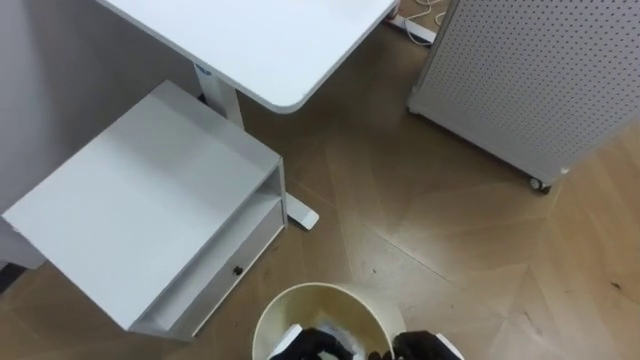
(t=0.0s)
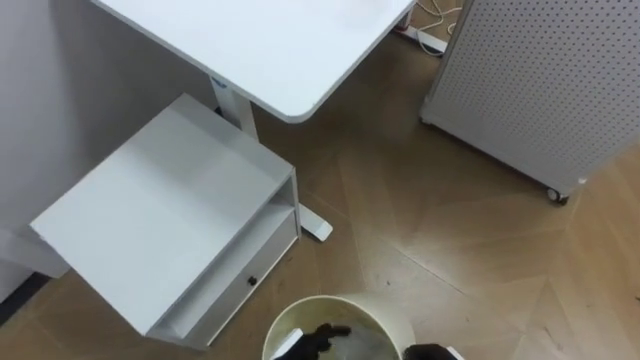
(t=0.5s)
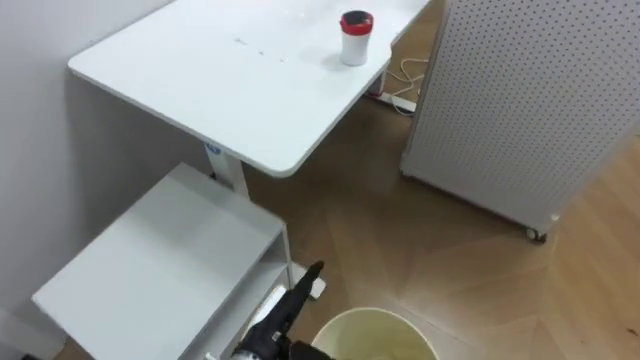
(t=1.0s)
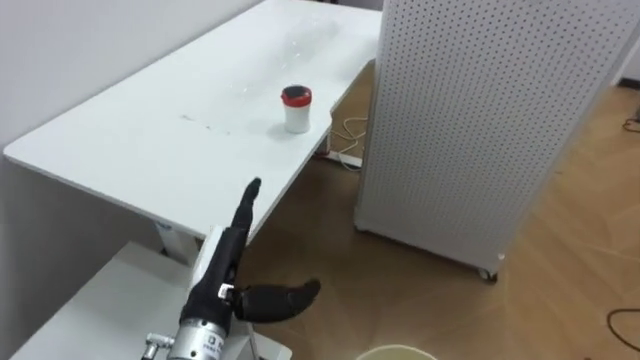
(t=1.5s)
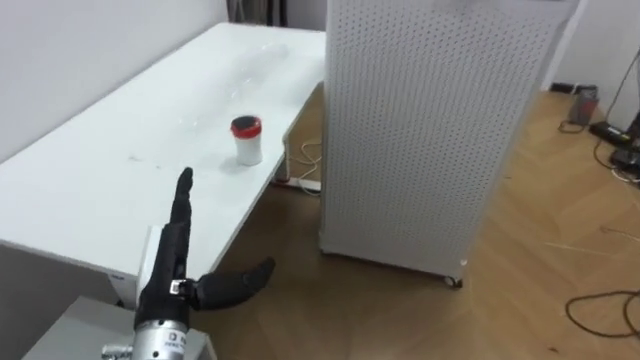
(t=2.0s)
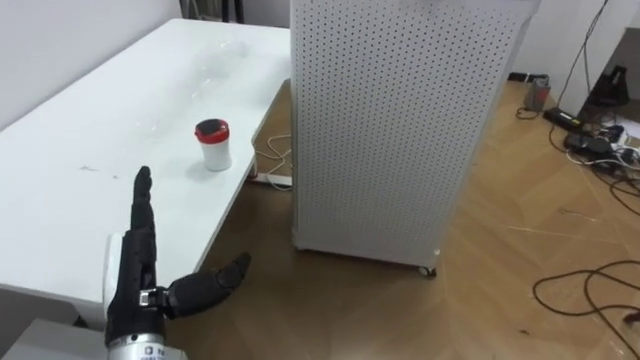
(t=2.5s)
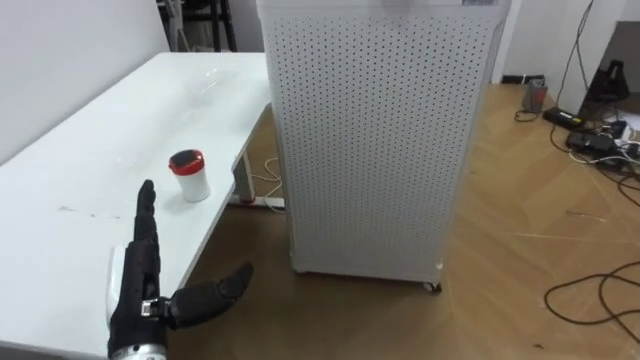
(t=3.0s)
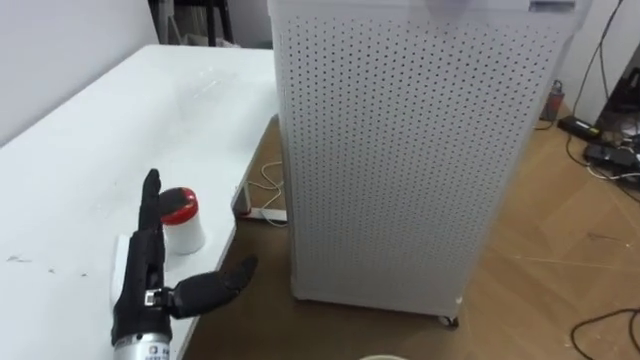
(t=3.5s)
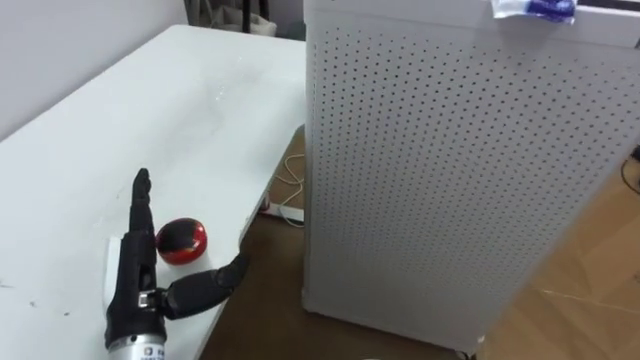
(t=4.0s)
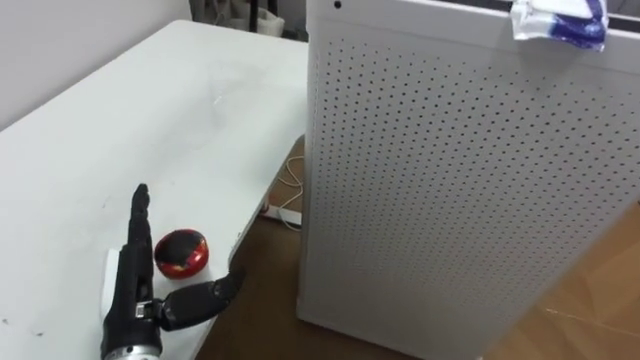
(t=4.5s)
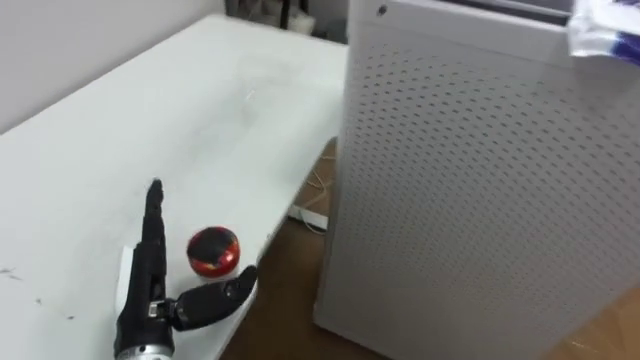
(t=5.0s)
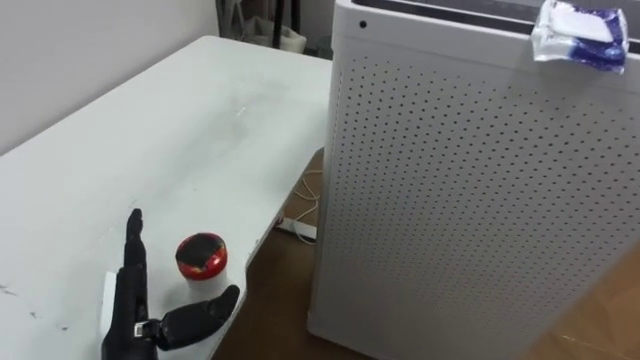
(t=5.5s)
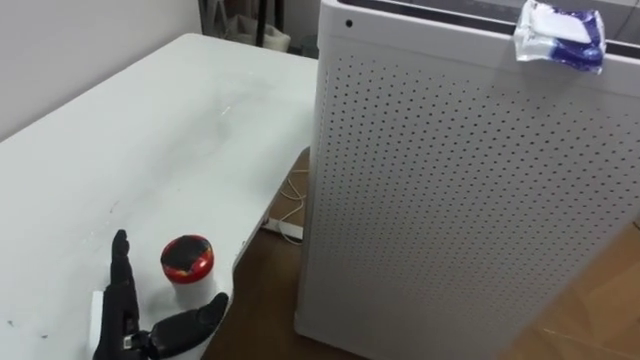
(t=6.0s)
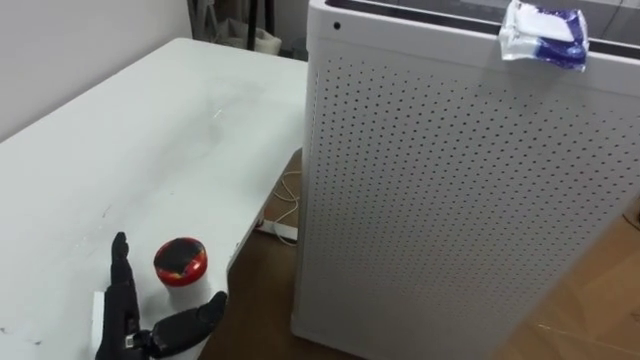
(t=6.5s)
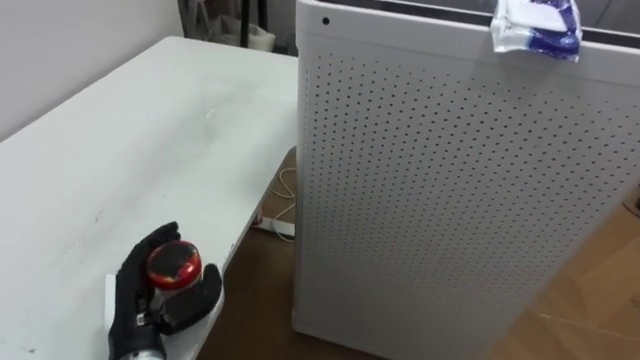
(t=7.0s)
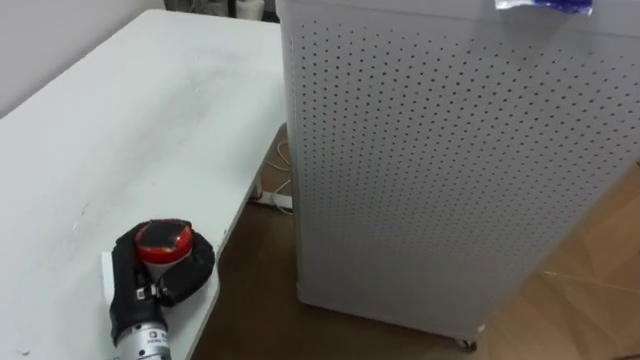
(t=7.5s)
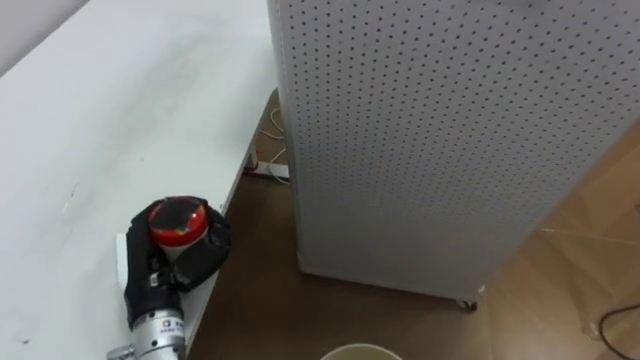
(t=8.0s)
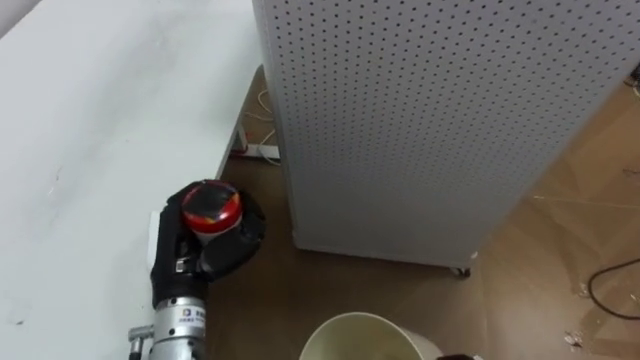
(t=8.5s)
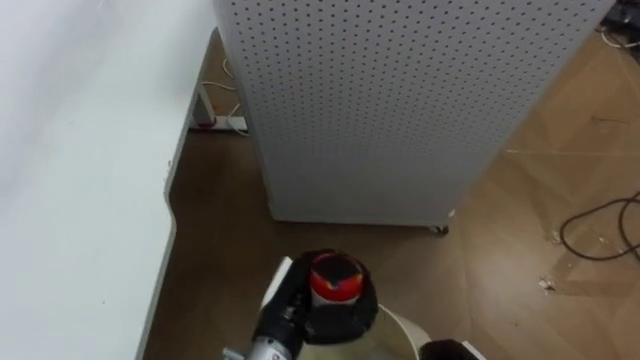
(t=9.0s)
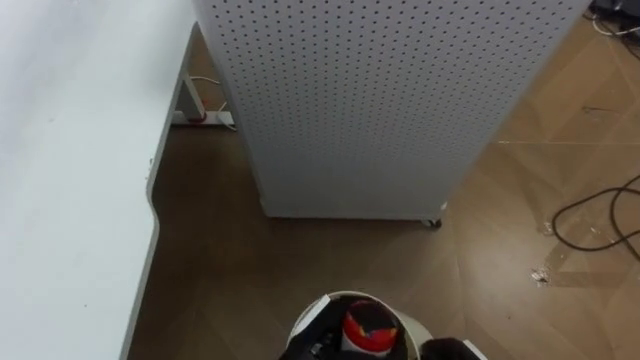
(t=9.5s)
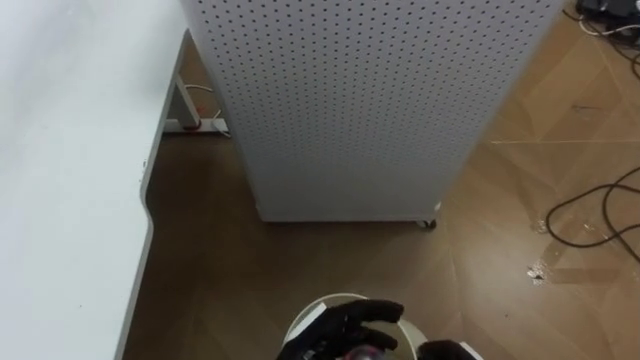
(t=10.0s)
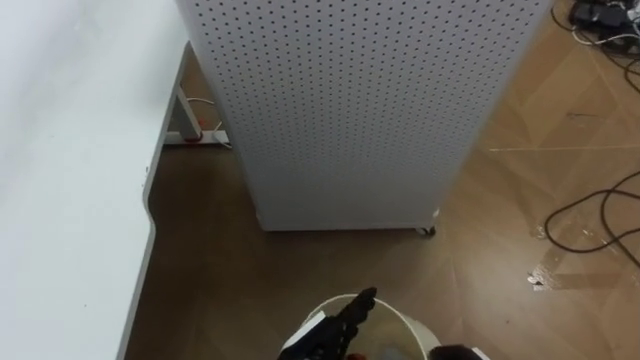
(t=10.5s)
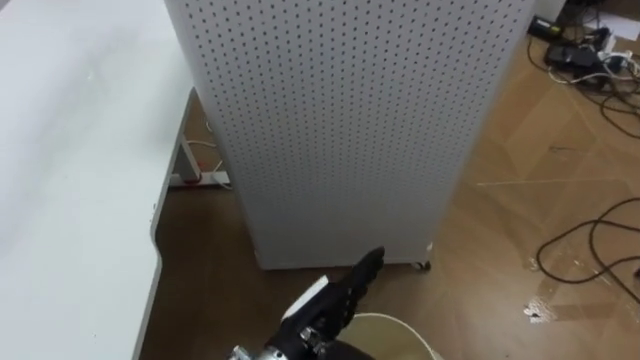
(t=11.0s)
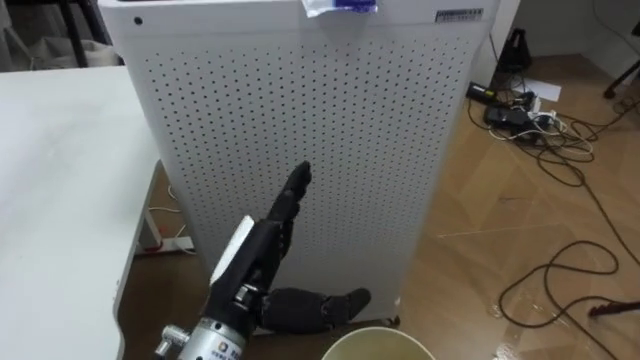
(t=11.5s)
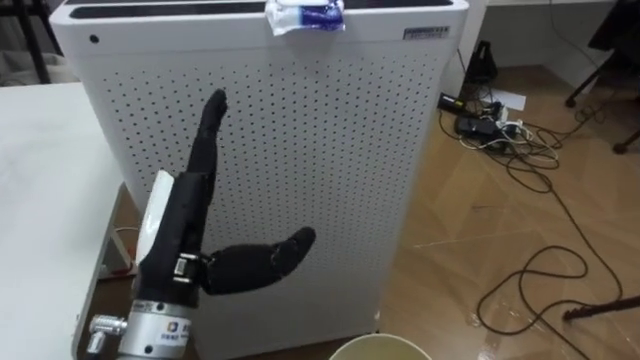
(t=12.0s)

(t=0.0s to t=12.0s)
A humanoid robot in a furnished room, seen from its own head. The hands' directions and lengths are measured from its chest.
Task of the whole recording: Pick up the light blue package, the candy box, and the dark blue package separately, and put them into the trash can held in your right hand.
t=0.0s - t=2.0s: The robot rotates roughly 20 degrees to its right.
t=4.0s - t=6.0s: The left hand is displaced downward by approximately 5 cm.
t=6.0s - t=8.0s: The left hand goes about 5 cm forward, and closes its fingers.
t=8.0s - t=10.0s: The left hand travels to the right and downward by roughly 20 cm, and opens its fingers.
t=10.0s - t=12.0s: The left hand is displaced upward and to the left by some 25 cm.

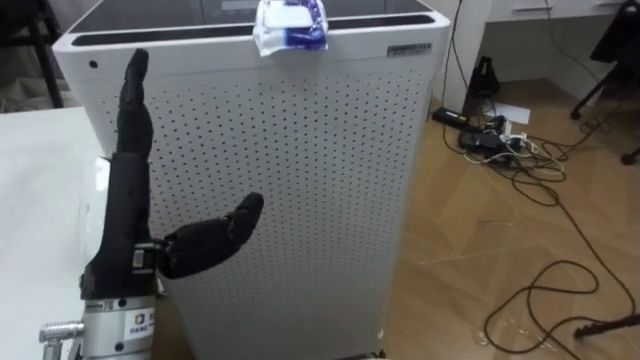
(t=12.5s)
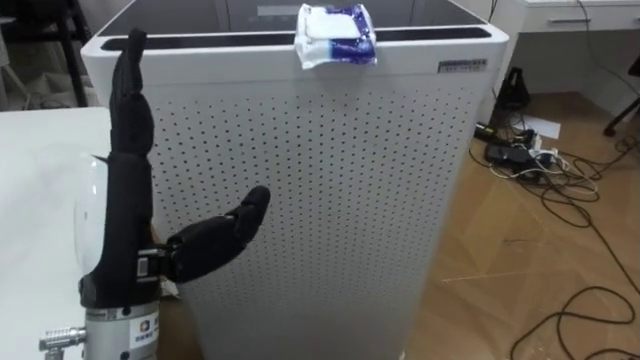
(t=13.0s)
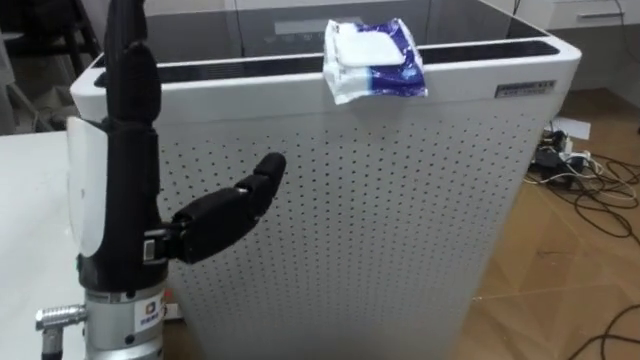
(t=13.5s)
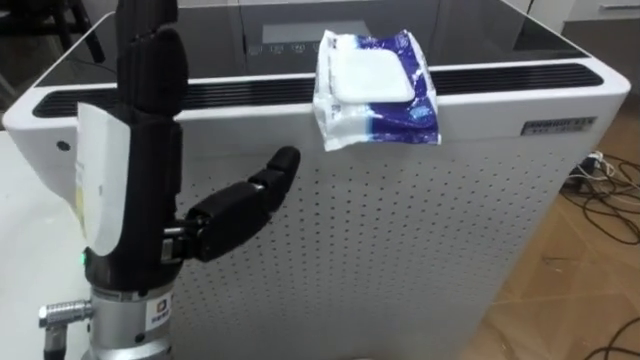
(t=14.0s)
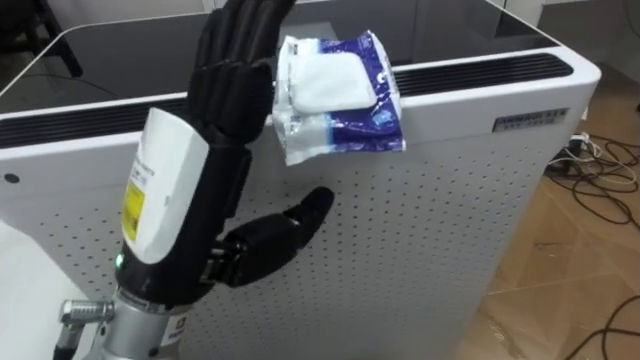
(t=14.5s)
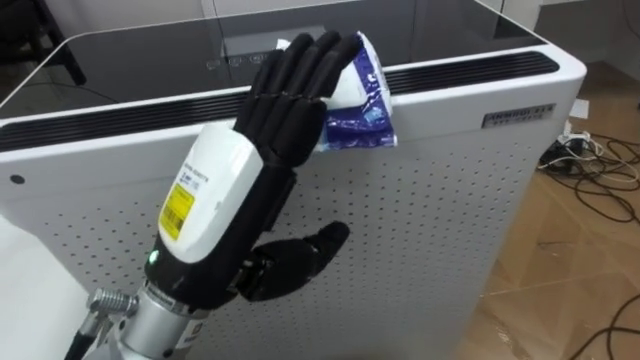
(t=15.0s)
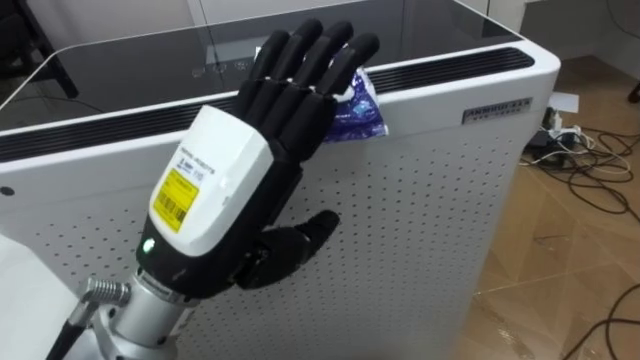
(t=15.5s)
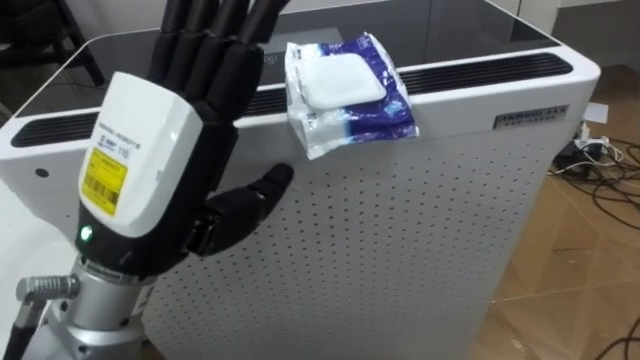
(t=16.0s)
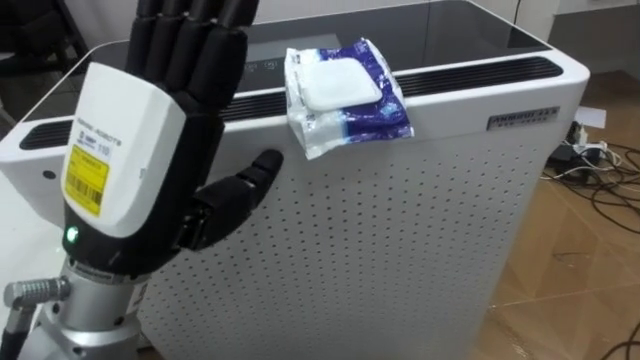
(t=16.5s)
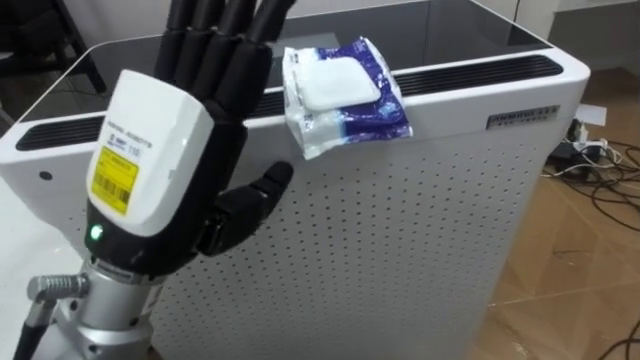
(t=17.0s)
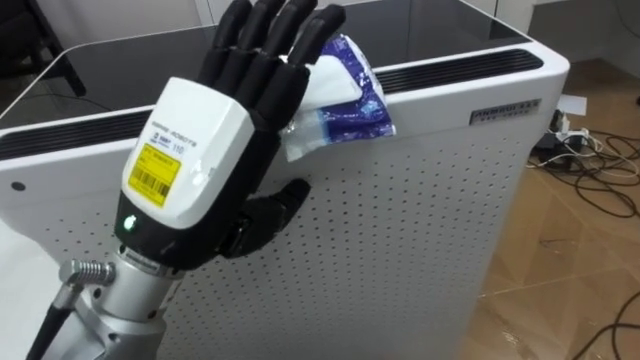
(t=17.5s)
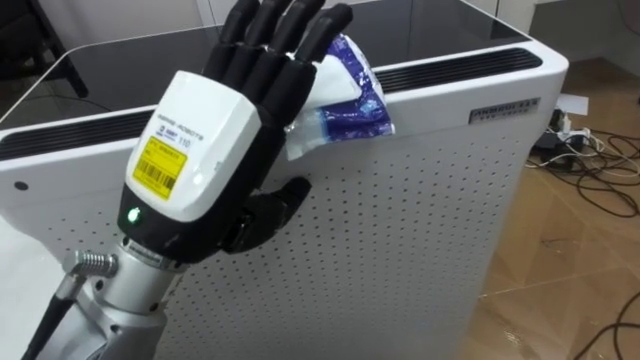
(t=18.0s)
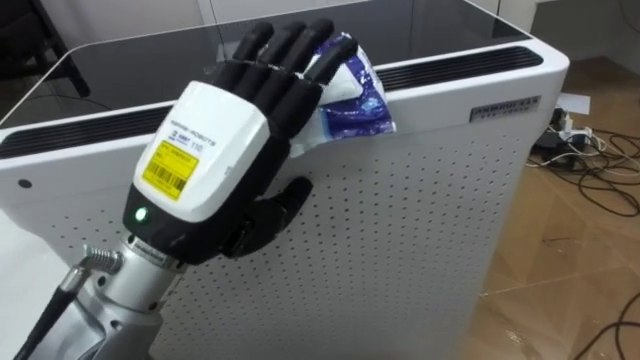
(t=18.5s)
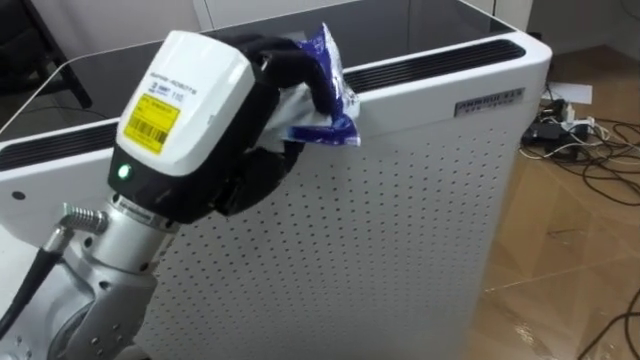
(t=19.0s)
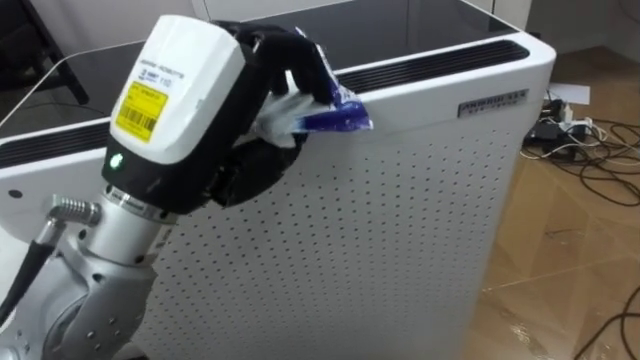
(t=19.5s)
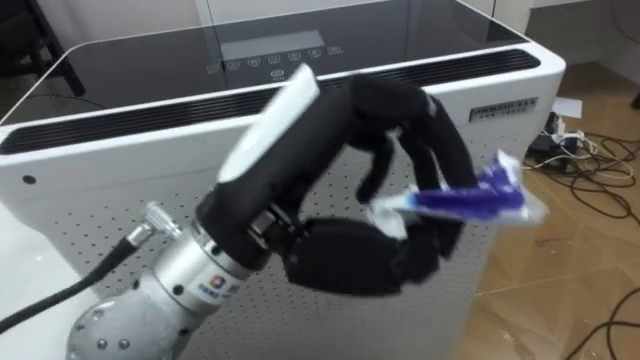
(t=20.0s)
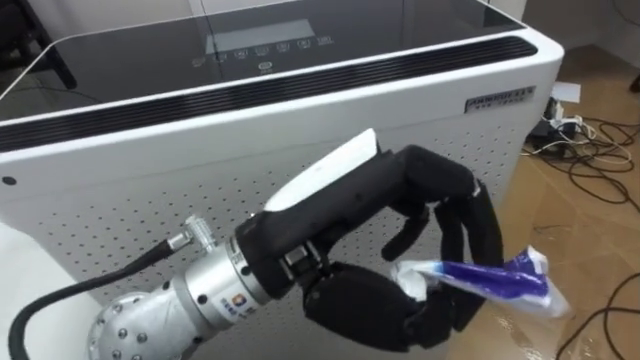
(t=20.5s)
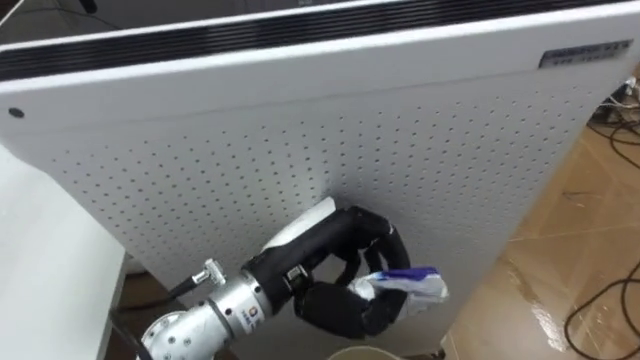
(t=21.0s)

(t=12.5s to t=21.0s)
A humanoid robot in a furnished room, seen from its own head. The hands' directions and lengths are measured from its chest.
Task of the whole recording: Pick up the light blue package, the candy box, and the dark blue package separately, and put them into the trash can held in your right hand.
t=12.5s - t=14.5s: The left hand moves to the right and upward, roughly 10 cm.
t=16.5s - t=19.0s: The left hand closes up.
t=19.0s - t=21.0s: The left hand goes roughly 15 cm downward and to the right.
